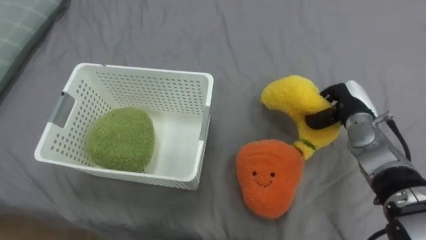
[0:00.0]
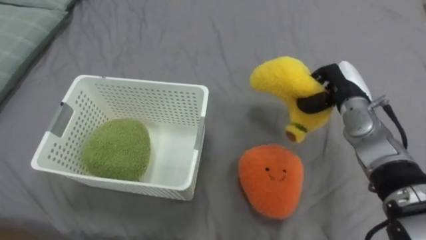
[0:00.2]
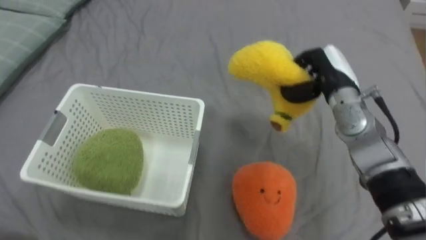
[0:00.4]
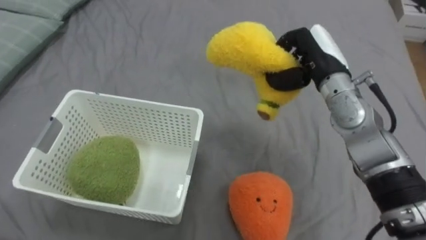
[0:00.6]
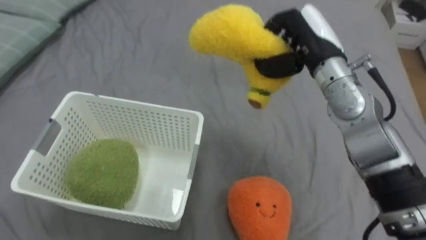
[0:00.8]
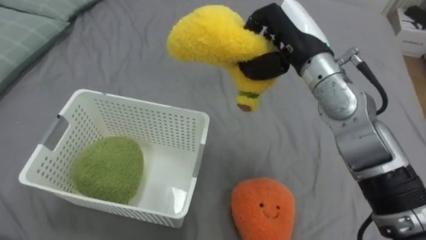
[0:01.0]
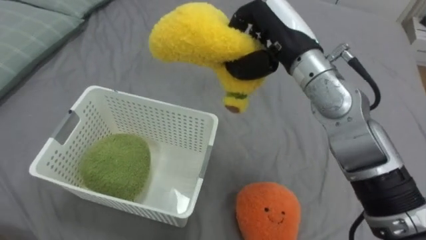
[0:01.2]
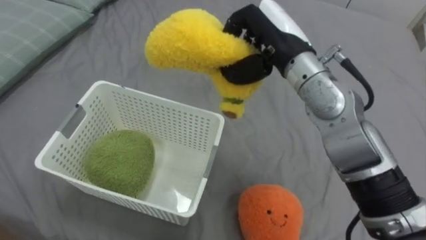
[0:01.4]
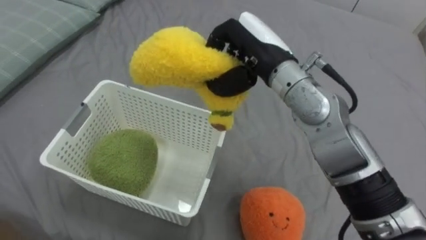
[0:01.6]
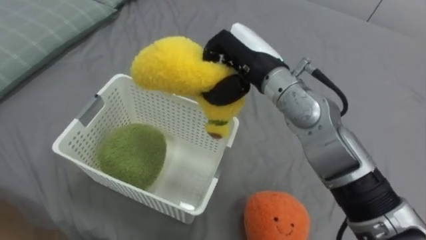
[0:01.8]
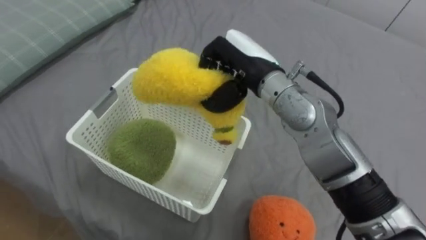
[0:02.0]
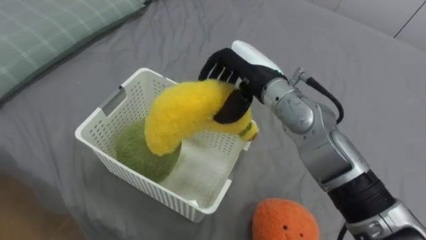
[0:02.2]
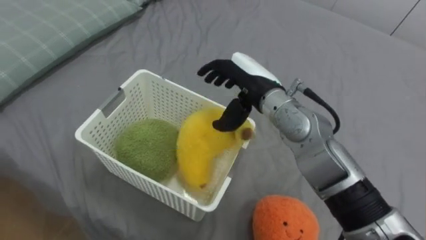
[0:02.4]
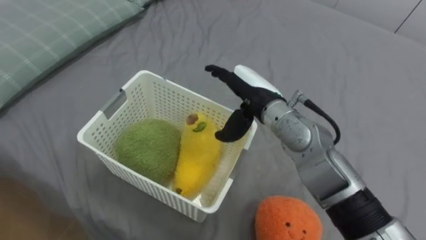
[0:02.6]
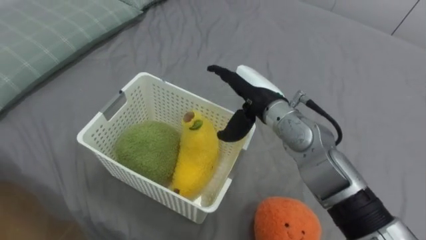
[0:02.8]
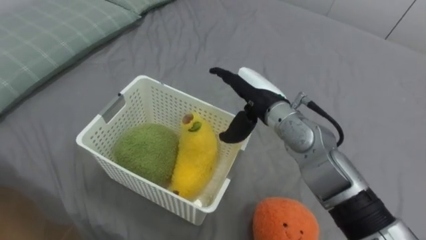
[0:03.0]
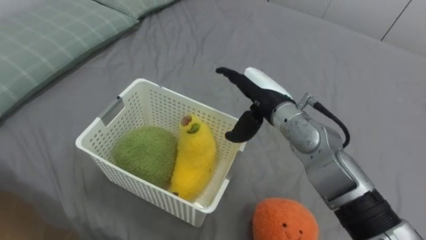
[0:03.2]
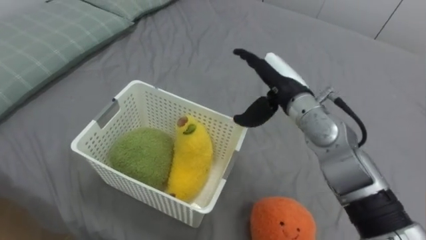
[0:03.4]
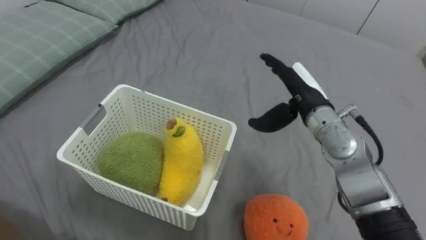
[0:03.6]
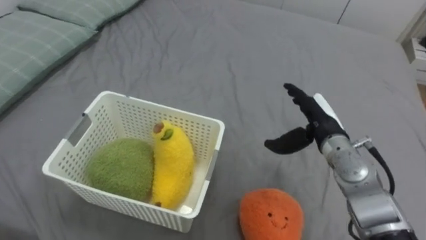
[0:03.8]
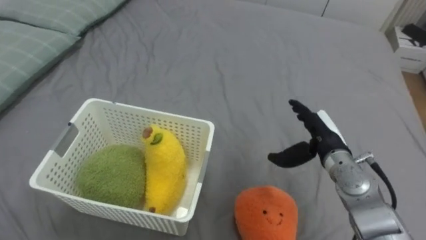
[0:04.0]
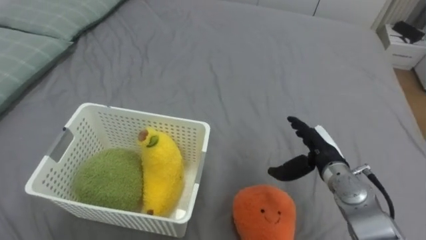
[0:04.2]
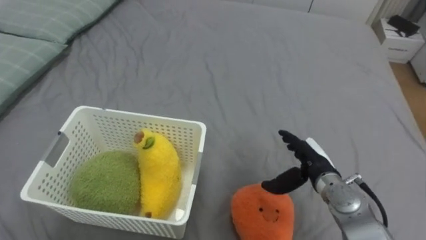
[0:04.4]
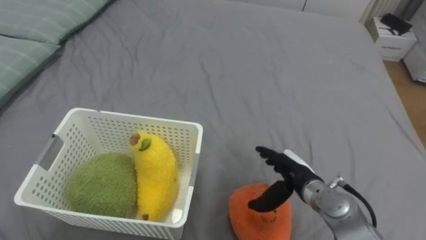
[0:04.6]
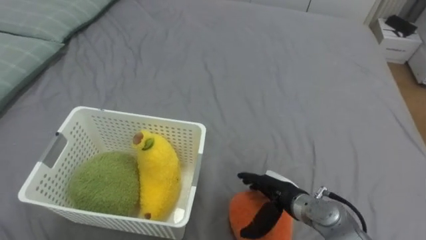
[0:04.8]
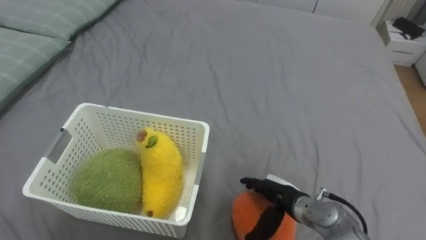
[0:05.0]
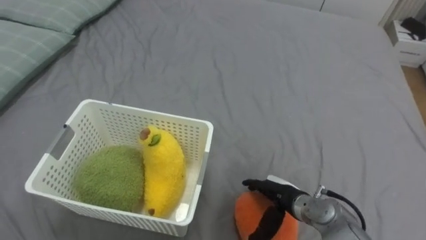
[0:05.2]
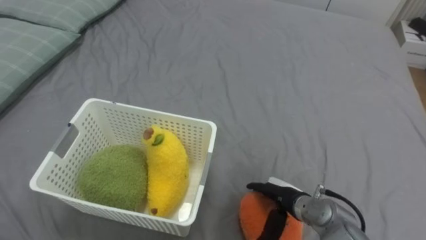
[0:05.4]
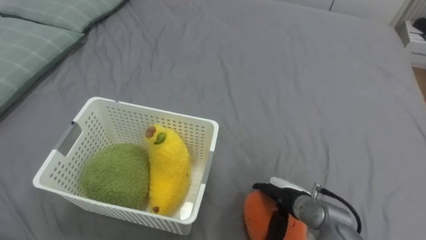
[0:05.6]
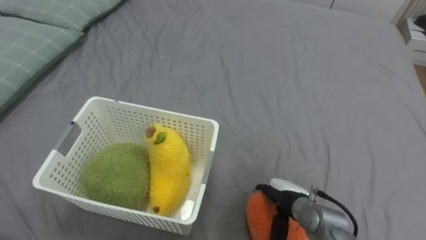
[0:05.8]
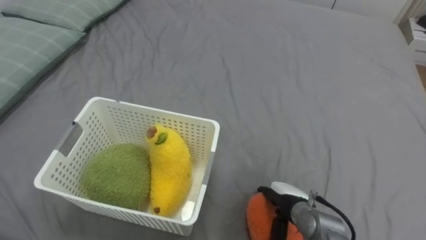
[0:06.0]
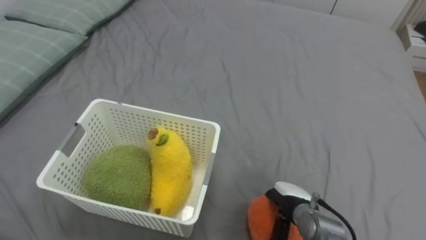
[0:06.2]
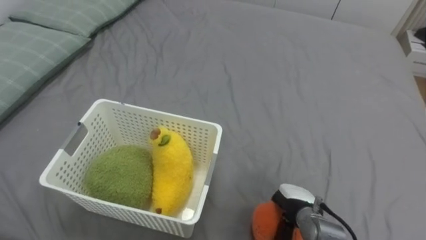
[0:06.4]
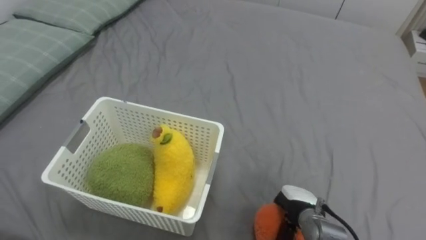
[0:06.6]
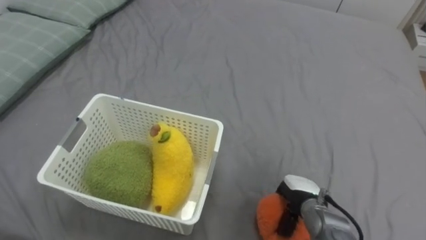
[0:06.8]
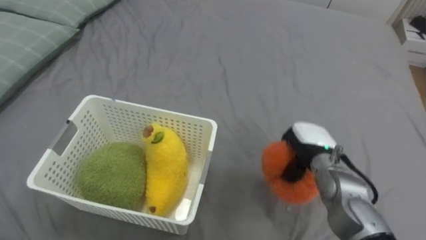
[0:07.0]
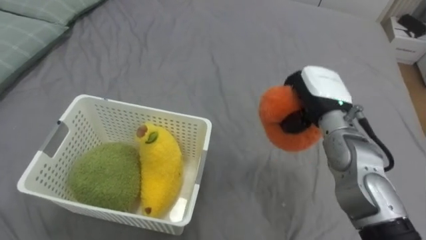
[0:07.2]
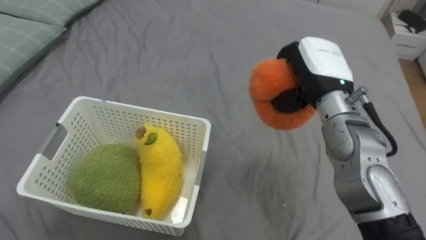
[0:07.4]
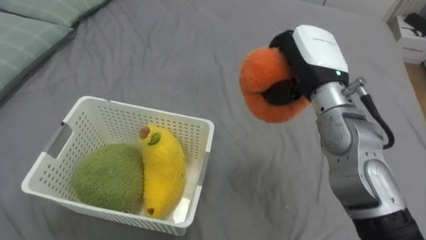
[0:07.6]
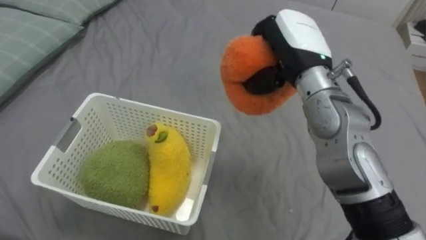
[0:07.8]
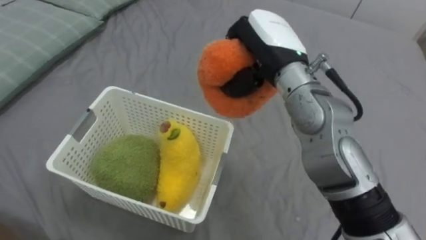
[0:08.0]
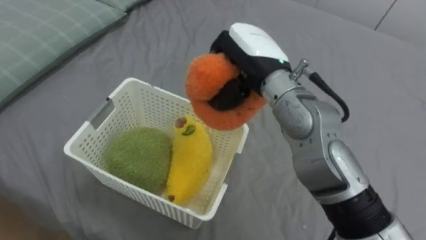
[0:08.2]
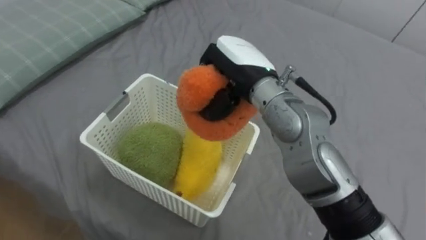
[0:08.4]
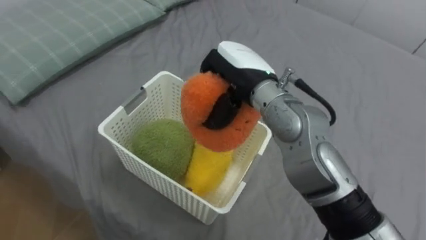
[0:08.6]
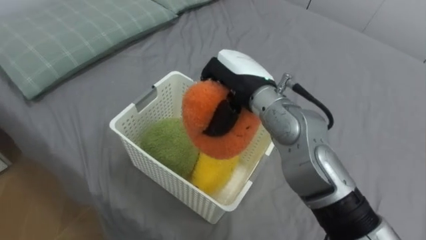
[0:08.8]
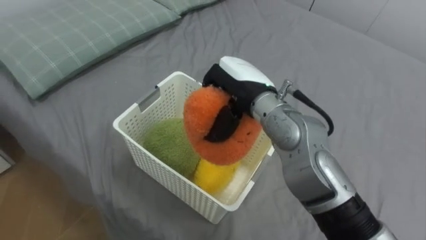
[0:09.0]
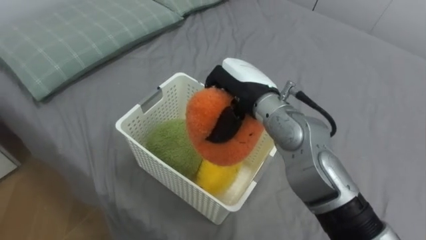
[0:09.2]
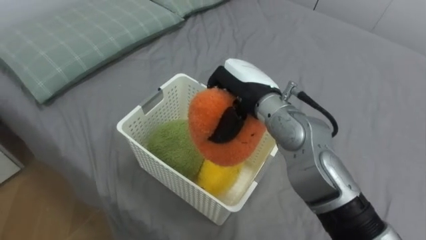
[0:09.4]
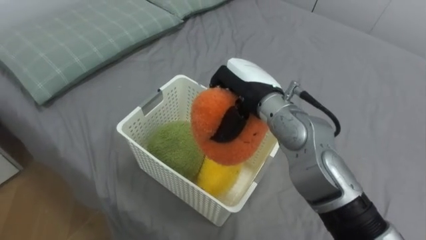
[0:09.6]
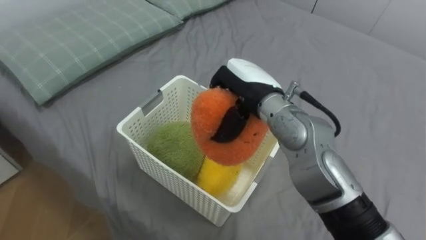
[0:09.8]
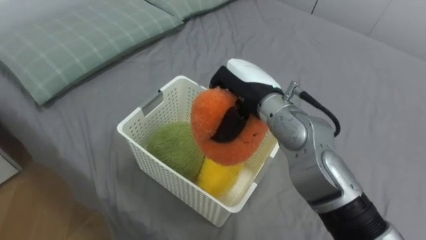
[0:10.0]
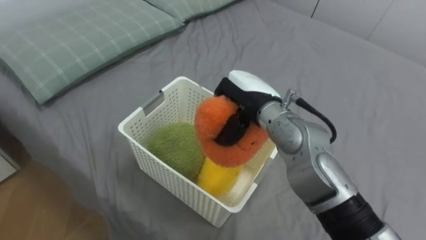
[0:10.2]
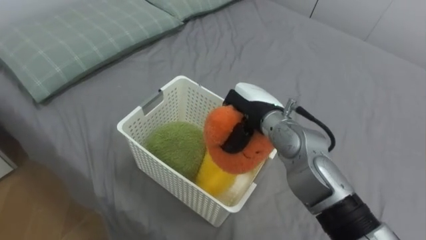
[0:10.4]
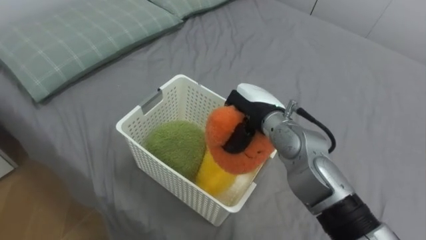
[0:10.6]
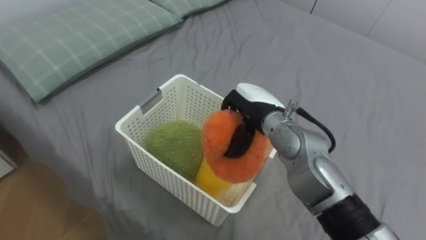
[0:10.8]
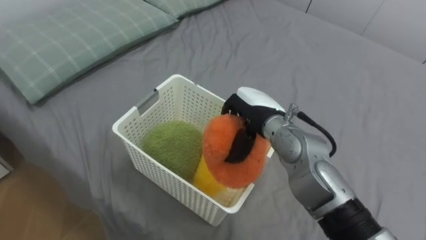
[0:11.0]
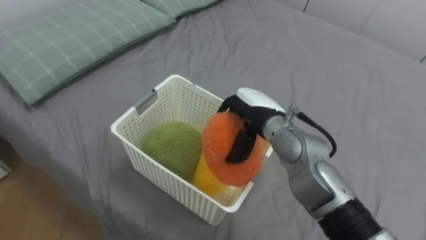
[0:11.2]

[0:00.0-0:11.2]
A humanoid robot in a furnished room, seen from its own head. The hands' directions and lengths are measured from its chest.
Task of the whole recording: Put the toys on the bed into the basket on the left.
0:00.0 to 0:01.6: The right hand is displaced to the left and upward by some 25 cm.
0:01.6 to 0:03.2: The right hand goes roughly 10 cm downward, and opens up.
0:03.2 to 0:04.8: The right hand shifts some 20 cm downward and backward.
0:04.8 to 0:06.4: The right hand moves about 5 cm, and closes.
0:06.4 to 0:08.0: The right hand travels upward by some 30 cm.
0:08.0 to 0:09.6: The right hand heads downward, covering roughly 5 cm.
0:09.6 to 0:11.2: The right hand heads downward, covering some 5 cm, and opens its fingers.

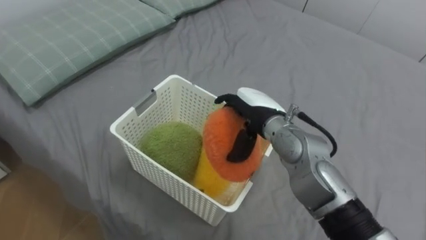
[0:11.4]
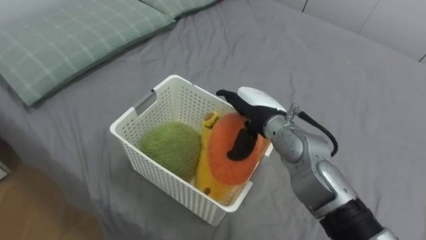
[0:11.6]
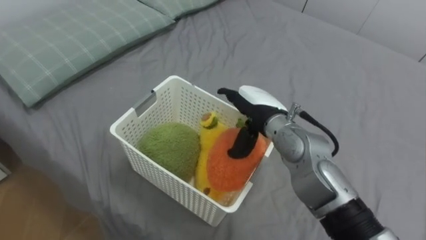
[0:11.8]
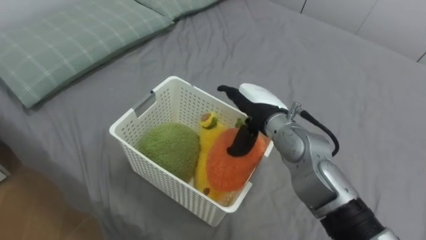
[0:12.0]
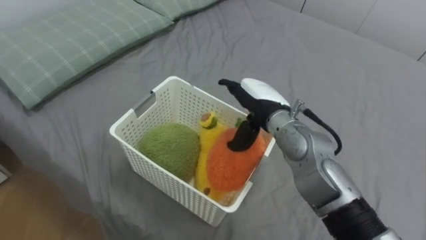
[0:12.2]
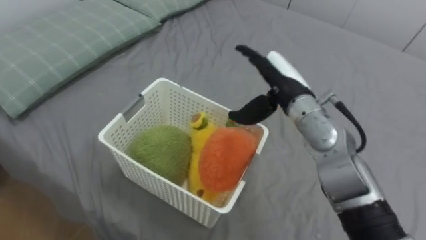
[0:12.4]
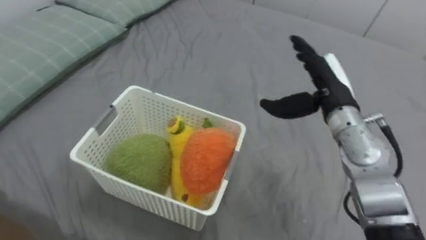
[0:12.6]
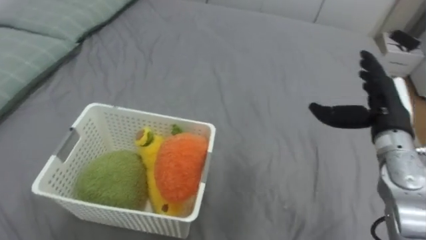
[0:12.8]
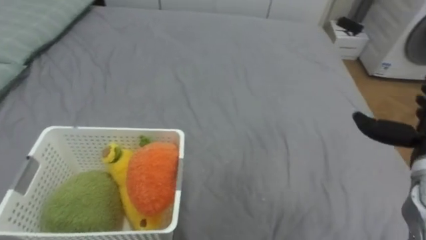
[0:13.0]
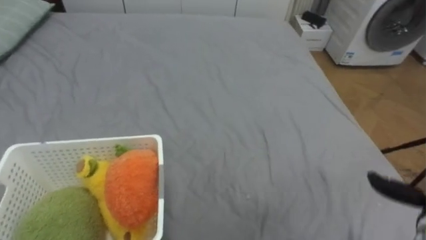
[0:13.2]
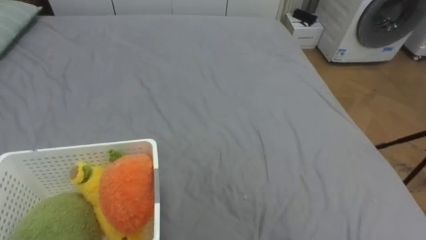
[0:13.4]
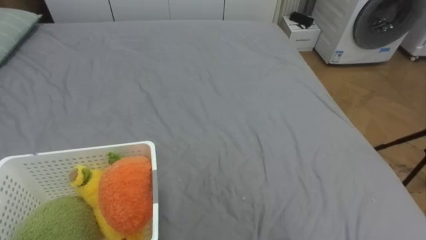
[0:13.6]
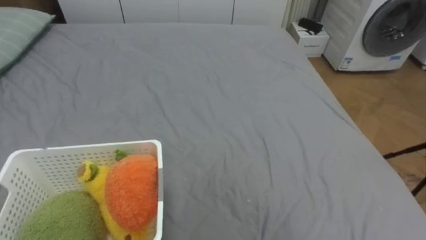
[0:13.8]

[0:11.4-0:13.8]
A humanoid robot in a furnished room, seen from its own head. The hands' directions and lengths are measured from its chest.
Task of the whole recording: Put the toys on the bed into the basket on the left.
0:11.4 to 0:12.6: The right hand shifts approximately 15 cm to the right and upward.

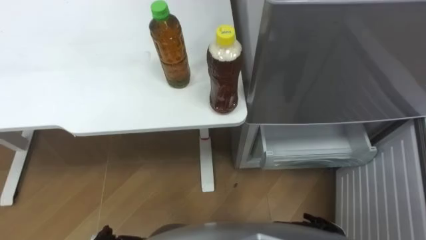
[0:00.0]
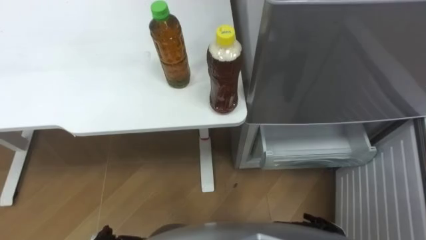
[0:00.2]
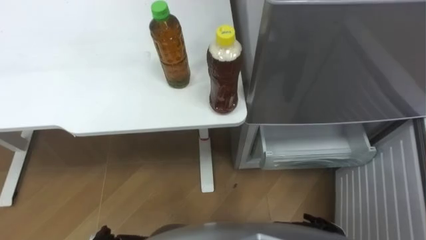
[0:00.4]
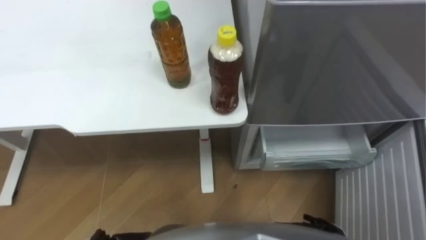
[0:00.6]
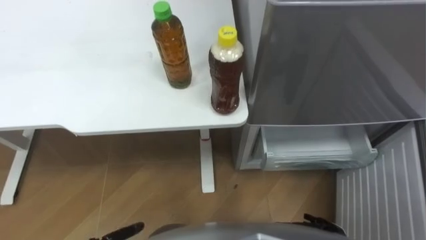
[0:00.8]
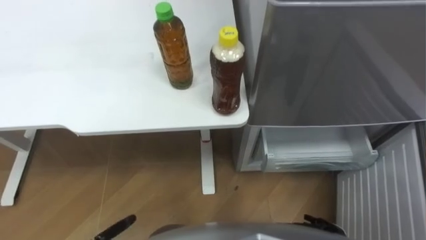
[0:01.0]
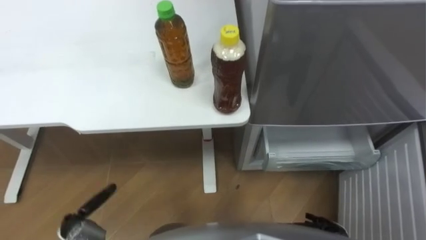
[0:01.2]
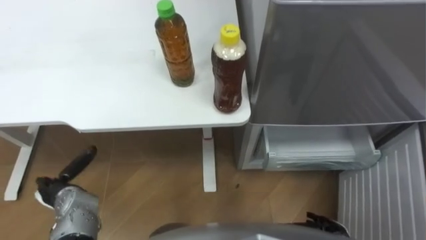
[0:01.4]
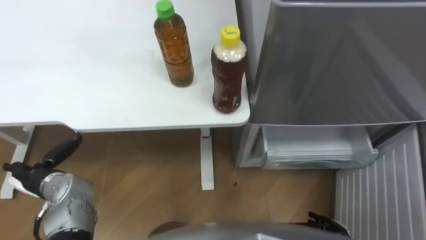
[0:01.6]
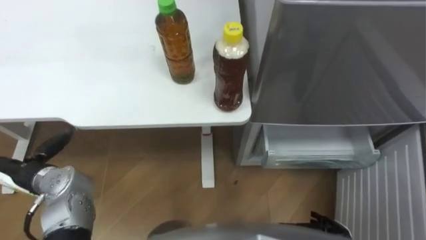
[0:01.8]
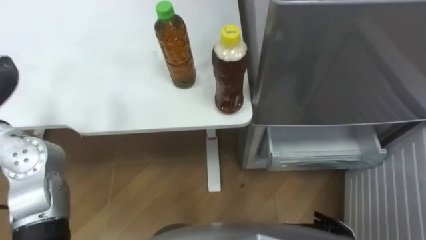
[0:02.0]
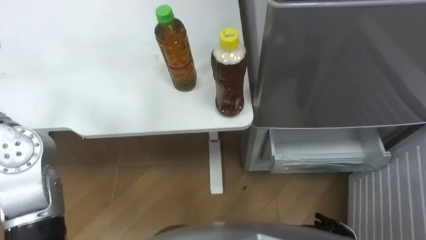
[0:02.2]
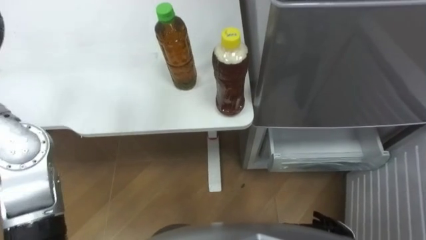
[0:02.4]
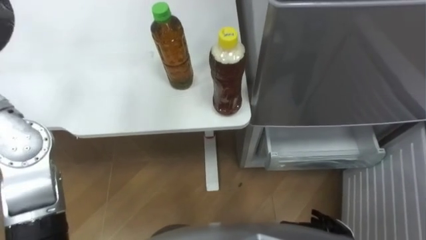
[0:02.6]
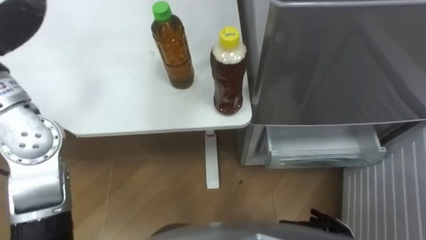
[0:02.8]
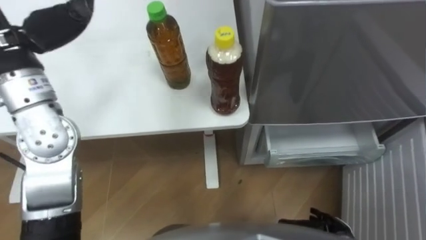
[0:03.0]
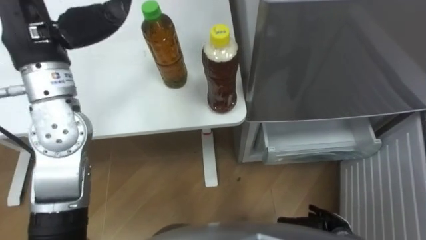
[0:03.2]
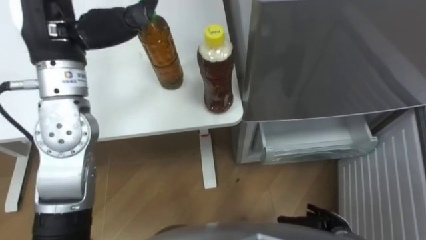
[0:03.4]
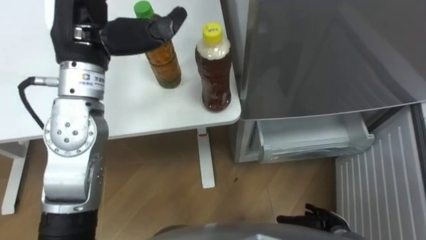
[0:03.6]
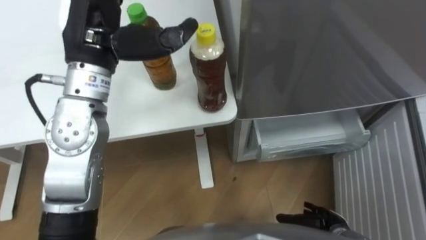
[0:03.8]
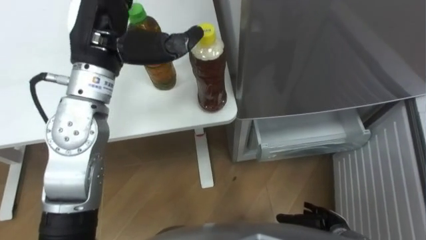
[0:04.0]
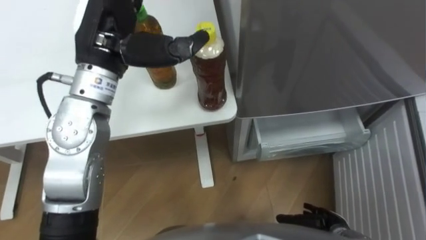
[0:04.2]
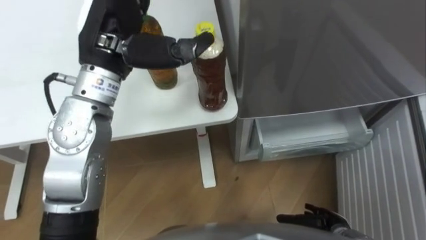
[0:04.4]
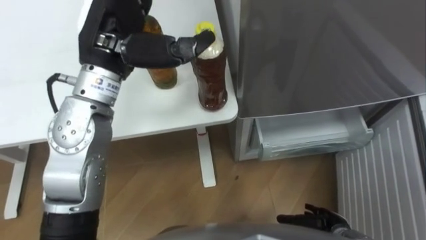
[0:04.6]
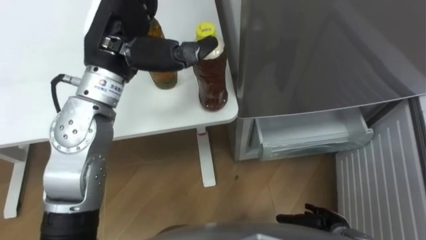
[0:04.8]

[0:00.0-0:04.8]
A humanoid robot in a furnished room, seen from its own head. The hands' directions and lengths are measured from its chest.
Task of the whole recording: Place the drink on the table on the bottom shelf of the refrigerator, then close the drawer and the refrigerator door.
0:03.2 to 0:04.8: The left hand goes some 10 cm to the right.
